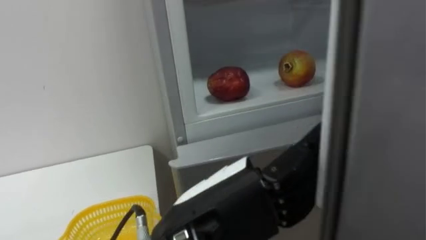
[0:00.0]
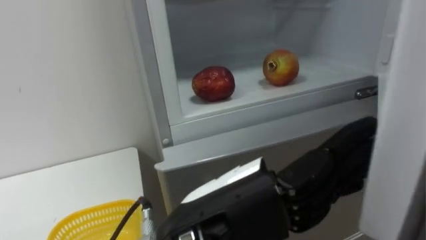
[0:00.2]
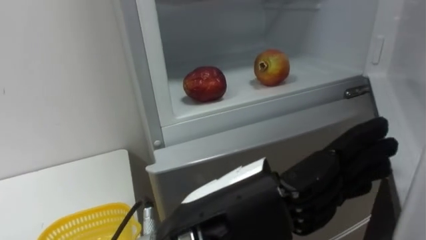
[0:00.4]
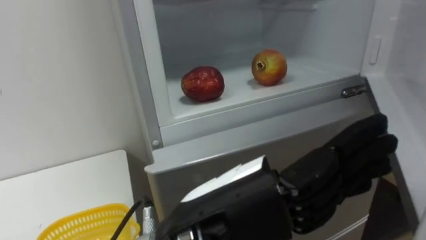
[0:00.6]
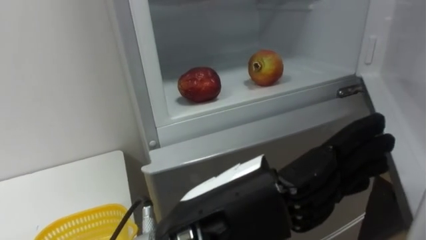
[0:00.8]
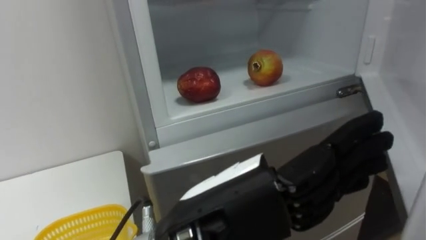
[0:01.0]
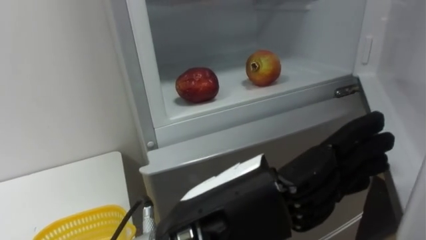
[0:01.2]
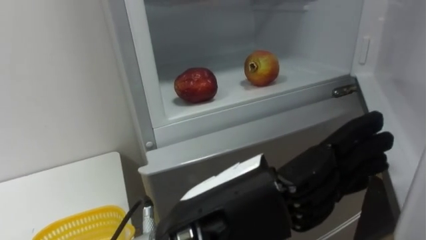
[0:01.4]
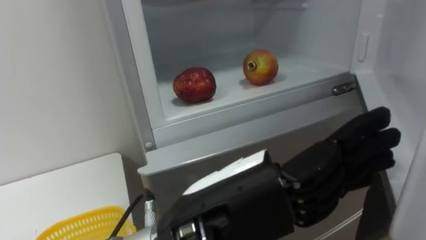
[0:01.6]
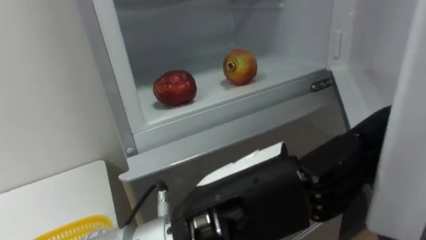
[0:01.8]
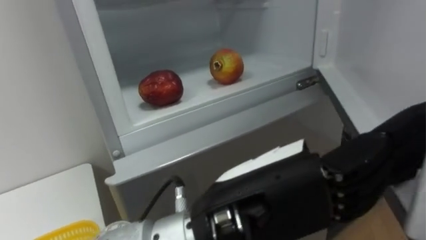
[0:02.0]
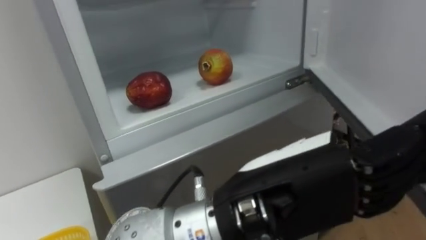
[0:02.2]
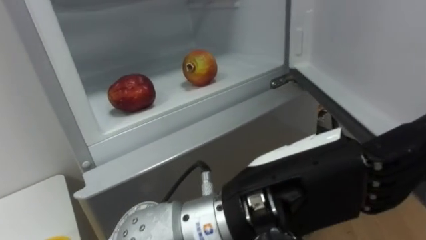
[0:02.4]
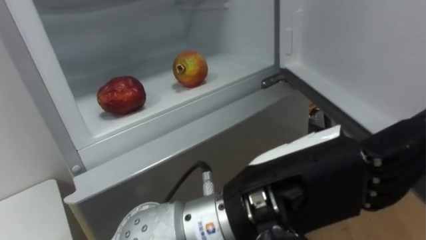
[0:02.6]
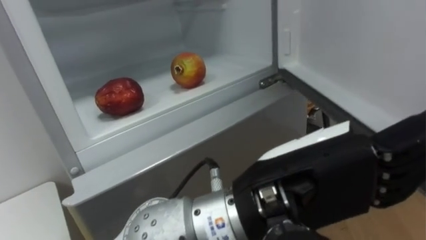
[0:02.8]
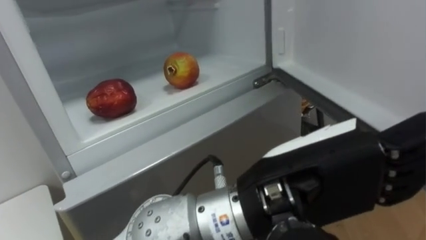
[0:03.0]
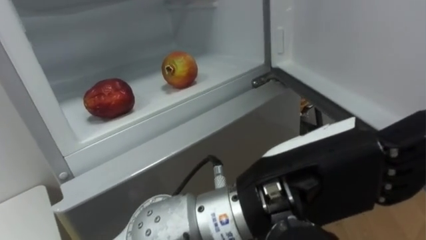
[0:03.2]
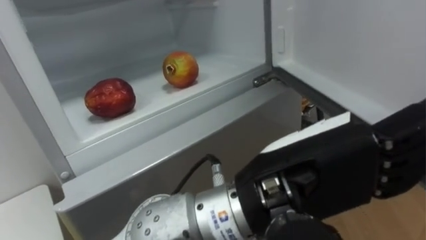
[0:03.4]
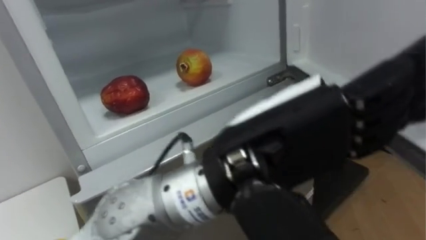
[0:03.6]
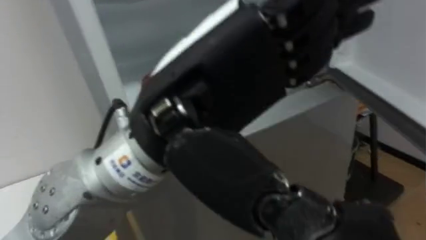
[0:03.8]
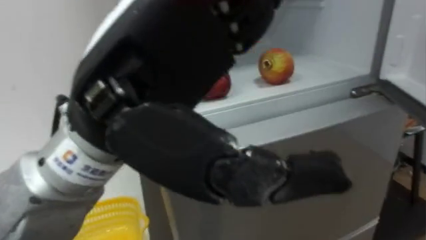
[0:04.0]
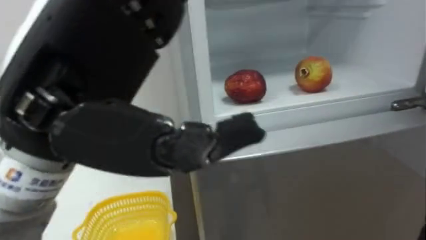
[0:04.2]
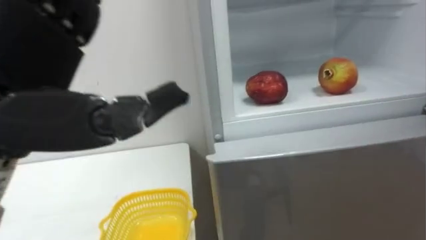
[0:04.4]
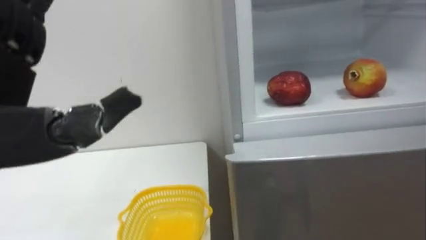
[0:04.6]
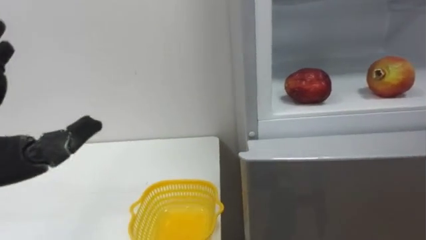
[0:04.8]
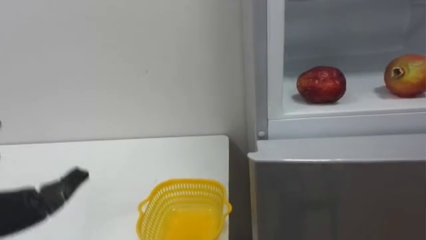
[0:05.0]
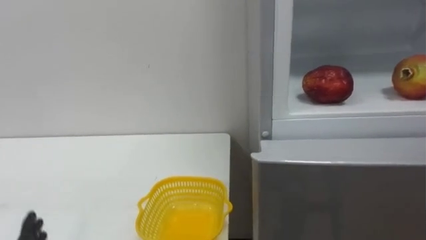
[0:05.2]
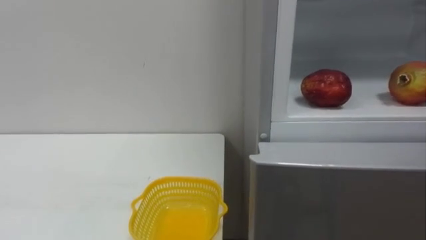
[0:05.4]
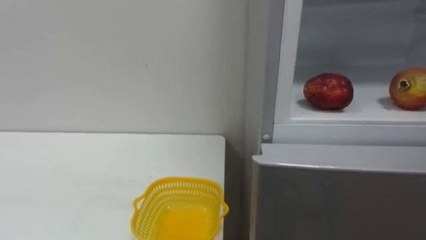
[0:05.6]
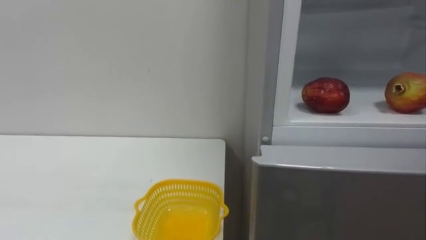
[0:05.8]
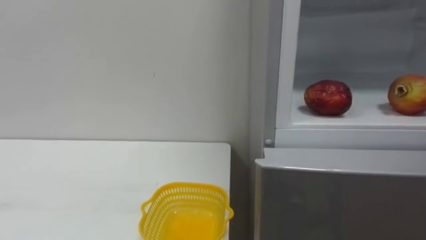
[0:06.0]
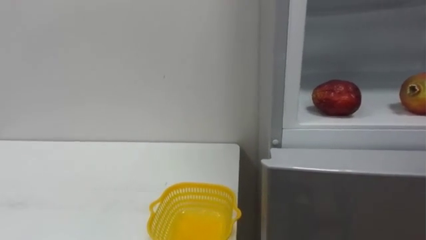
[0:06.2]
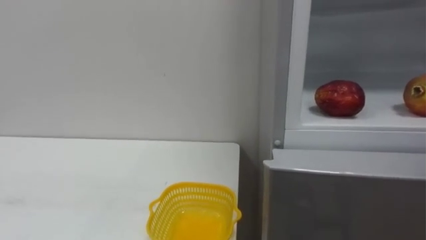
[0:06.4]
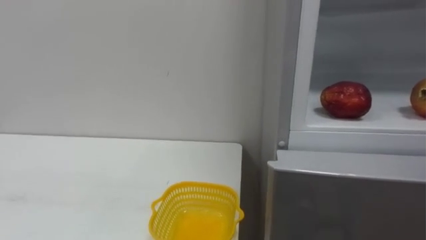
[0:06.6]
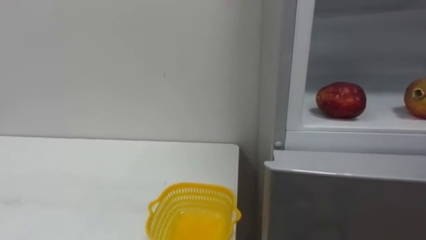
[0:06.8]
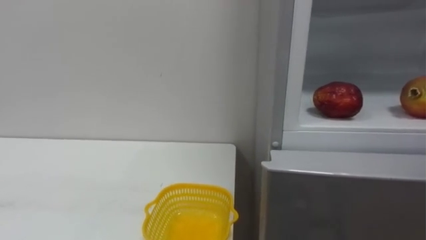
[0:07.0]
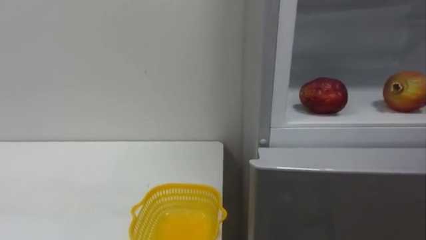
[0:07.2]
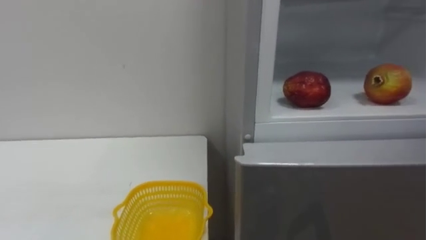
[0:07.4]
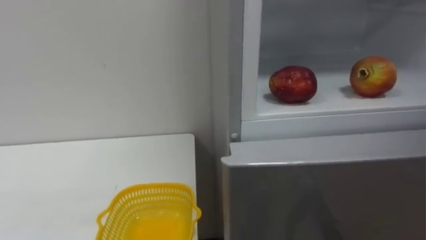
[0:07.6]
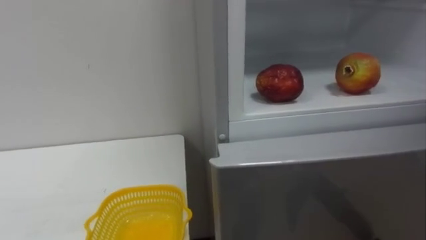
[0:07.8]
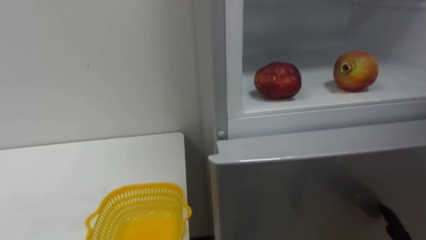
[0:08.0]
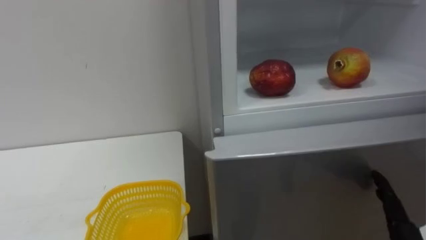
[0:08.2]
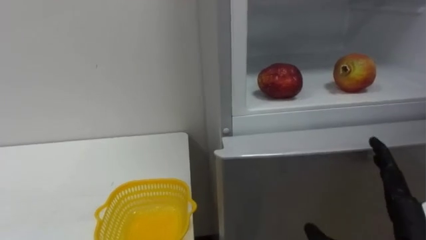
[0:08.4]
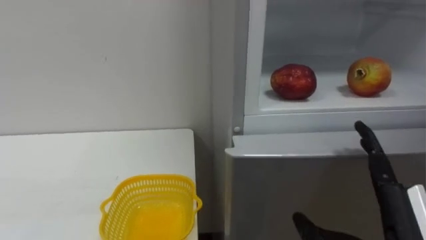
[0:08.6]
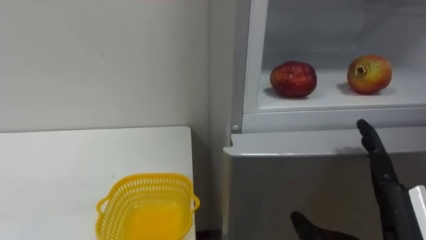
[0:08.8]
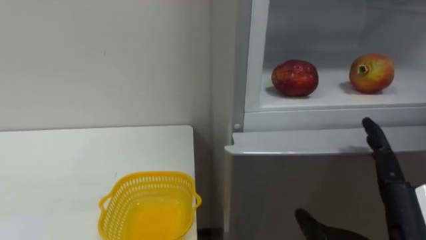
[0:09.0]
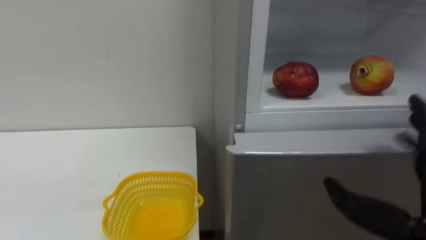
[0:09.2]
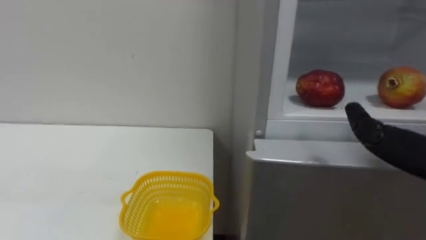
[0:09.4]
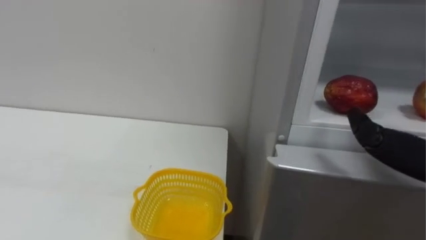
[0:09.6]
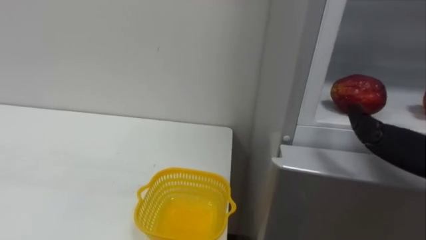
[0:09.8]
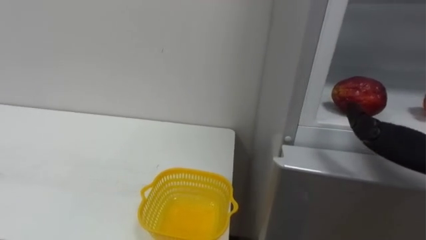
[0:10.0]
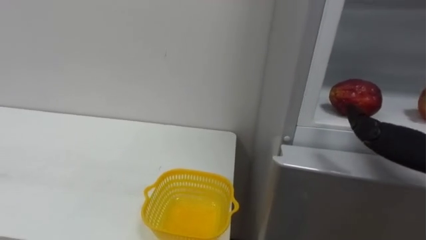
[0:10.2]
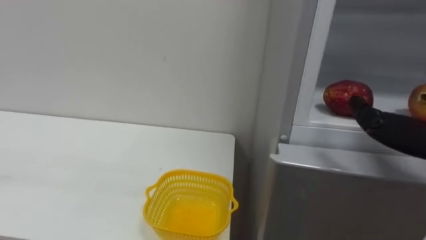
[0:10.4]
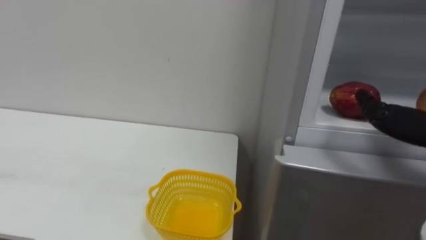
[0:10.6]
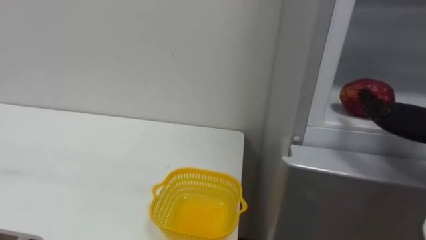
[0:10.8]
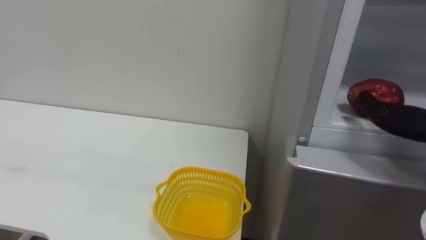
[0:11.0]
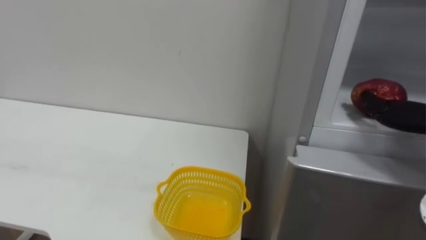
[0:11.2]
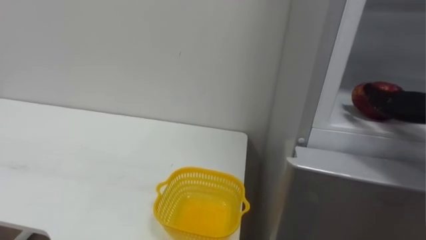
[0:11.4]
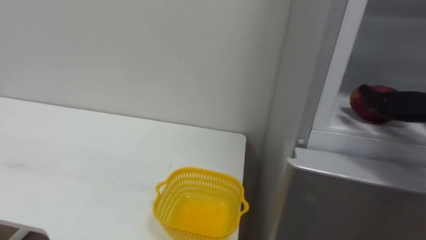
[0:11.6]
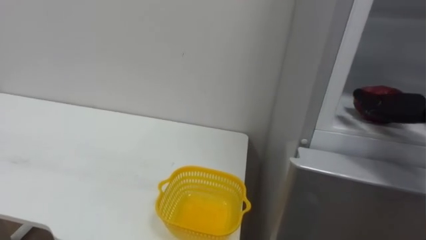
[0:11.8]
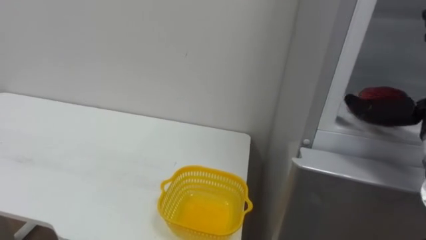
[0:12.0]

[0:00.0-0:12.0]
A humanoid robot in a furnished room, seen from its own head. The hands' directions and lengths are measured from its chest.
Task of the whole recording: Open the refrigerator door, take out the apple and the pomegranate, place them in the fruit basket on the left, and close the refrigerator door.
0:01.6 to 0:03.0: The left hand travels to the right by some 5 cm.
0:03.0 to 0:04.4: The left hand shifts approximately 25 cm to the left.

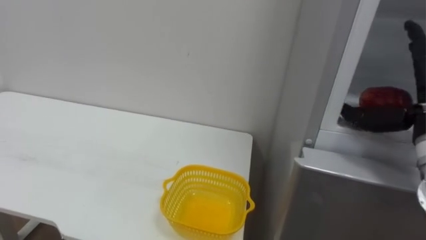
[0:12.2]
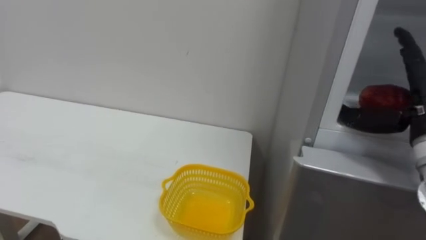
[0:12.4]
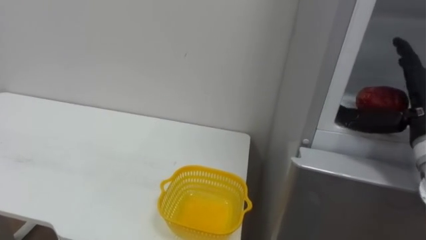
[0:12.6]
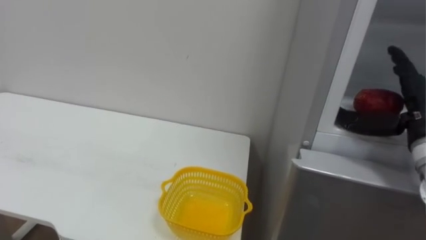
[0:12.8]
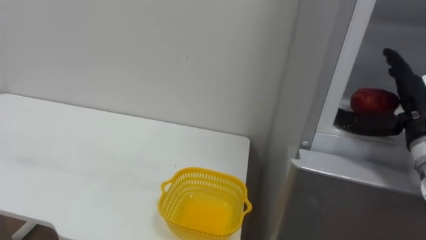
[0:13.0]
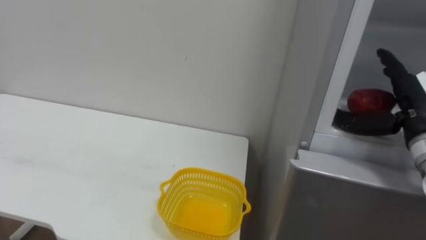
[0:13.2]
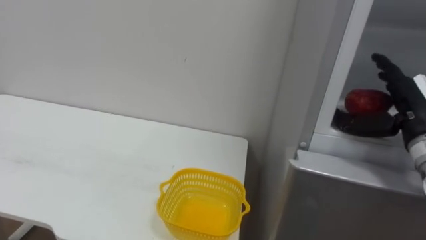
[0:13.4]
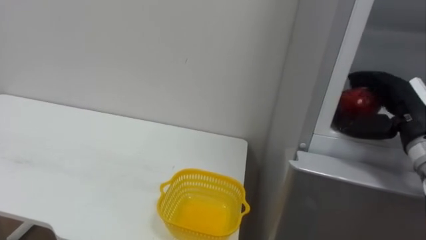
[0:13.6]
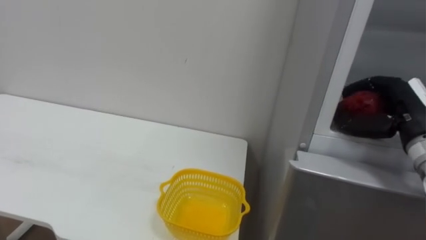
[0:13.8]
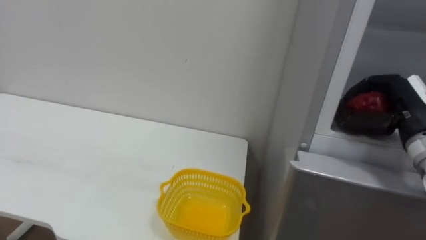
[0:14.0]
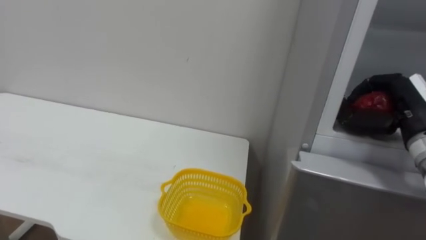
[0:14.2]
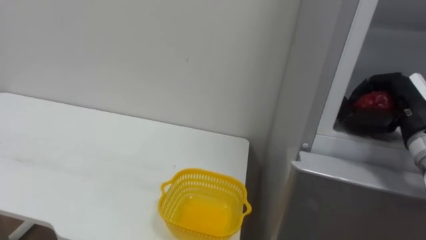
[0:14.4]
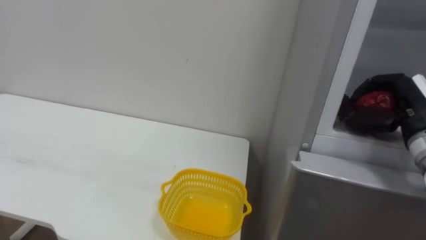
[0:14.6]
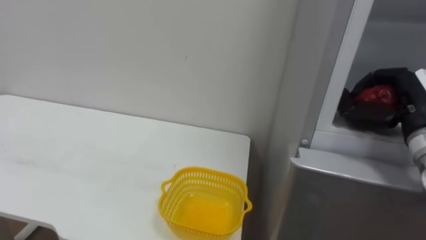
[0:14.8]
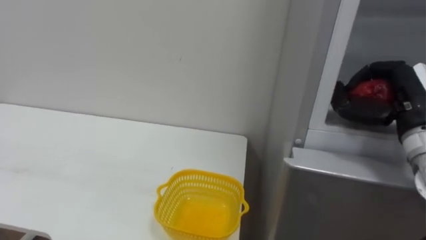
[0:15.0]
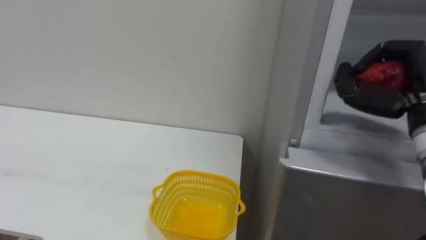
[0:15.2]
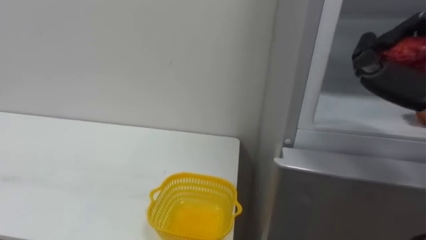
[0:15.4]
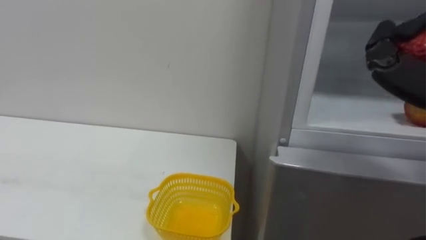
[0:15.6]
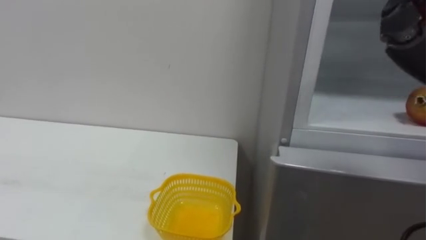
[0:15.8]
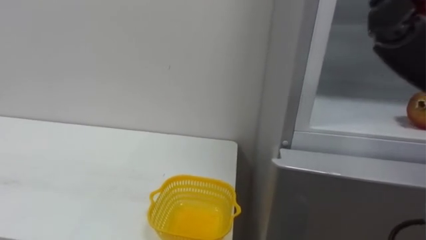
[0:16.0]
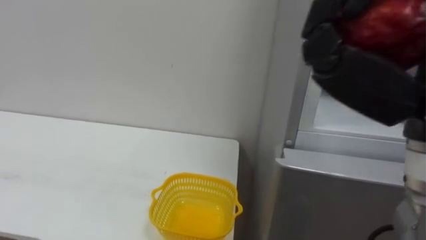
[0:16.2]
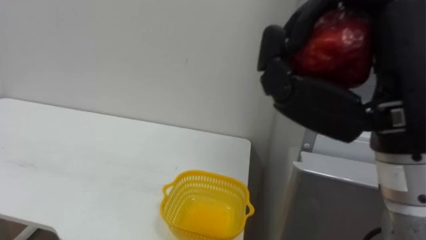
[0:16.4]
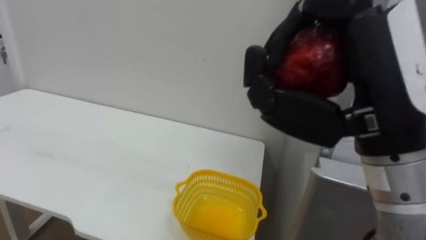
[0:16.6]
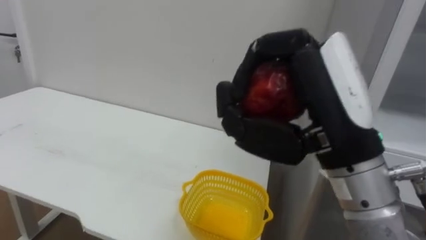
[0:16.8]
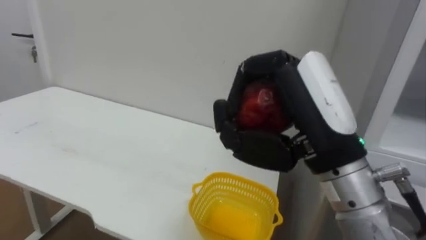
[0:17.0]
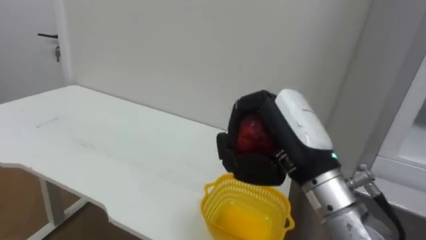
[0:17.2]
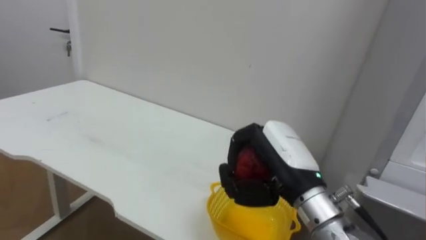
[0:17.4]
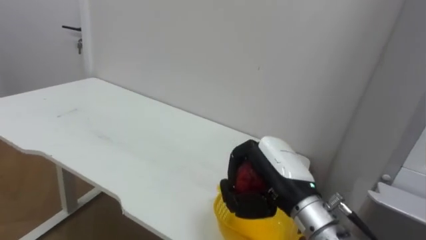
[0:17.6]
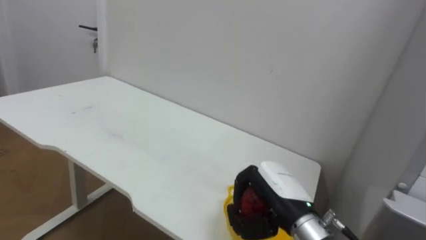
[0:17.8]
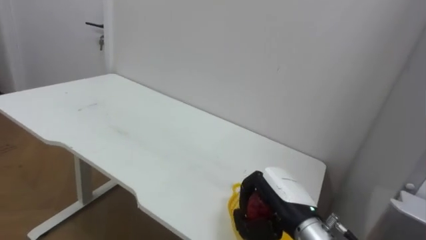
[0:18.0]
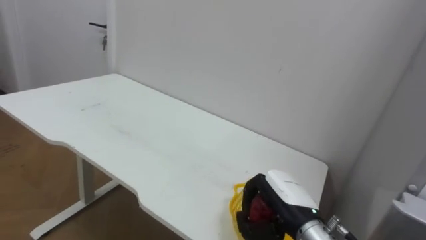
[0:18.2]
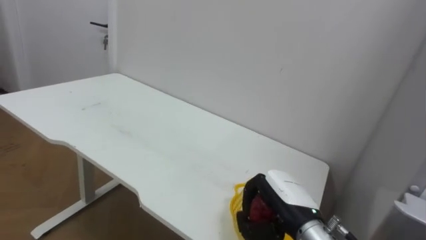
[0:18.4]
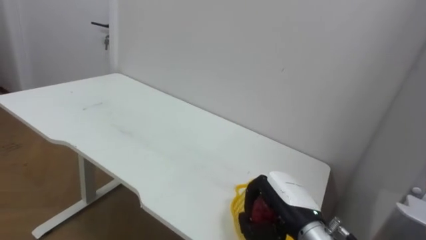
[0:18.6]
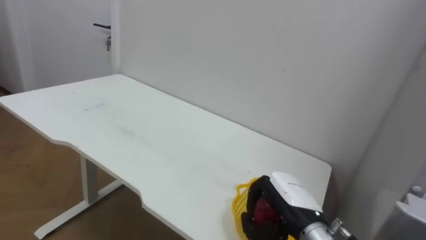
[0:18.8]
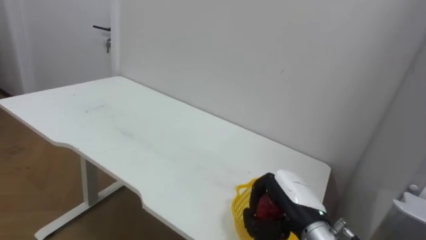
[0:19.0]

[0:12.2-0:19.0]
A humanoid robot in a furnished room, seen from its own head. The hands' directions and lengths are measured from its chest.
Task of the whole recording: Open the refrigerator door, take out the apple and the pomegranate, place them in the fruit basket on the left, and close the refrigerator door.
0:12.2 to 0:13.6: The right hand shifts by roughly 5 cm.
0:13.6 to 0:15.0: The right hand closes up.
0:16.2 to 0:17.6: The right hand goes about 25 cm downward, forward and to the left.
0:17.6 to 0:19.0: The right hand is displaced downward by about 10 cm.
